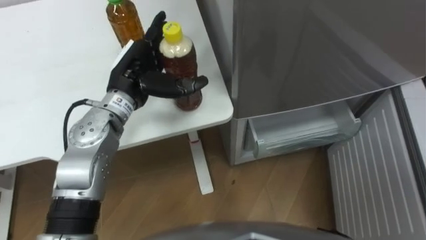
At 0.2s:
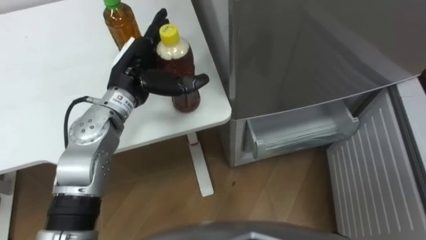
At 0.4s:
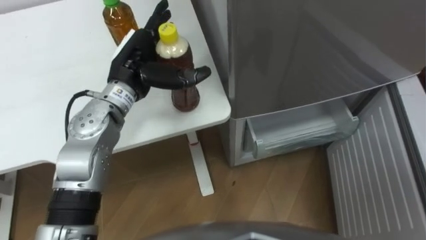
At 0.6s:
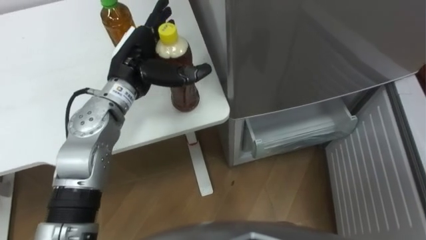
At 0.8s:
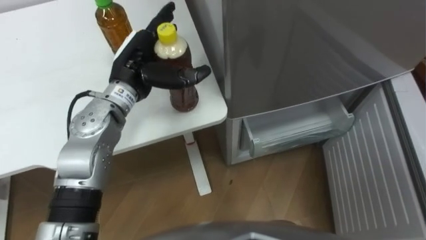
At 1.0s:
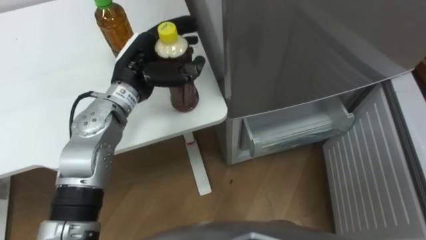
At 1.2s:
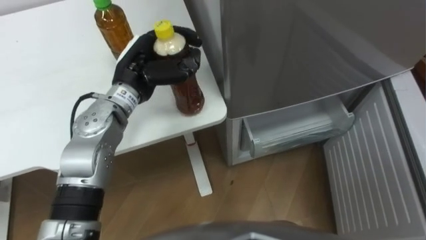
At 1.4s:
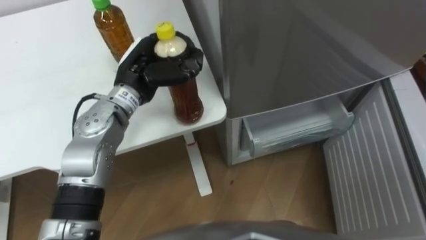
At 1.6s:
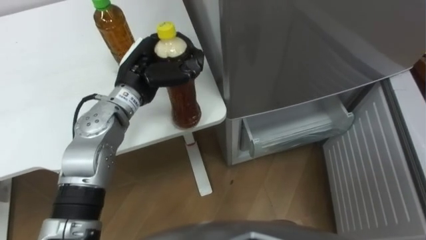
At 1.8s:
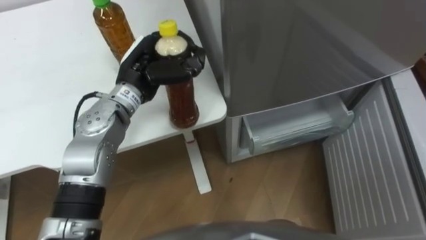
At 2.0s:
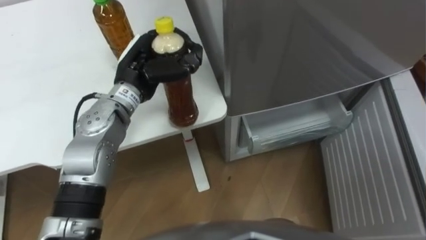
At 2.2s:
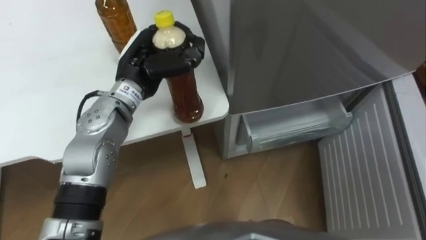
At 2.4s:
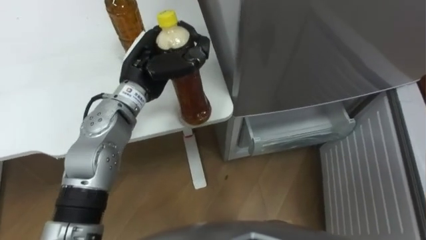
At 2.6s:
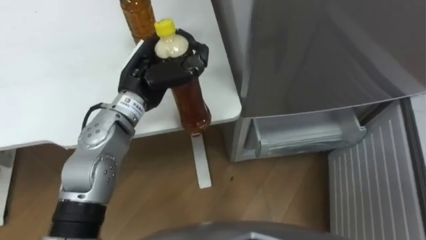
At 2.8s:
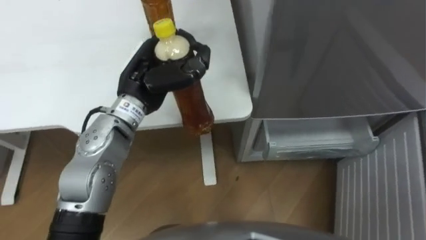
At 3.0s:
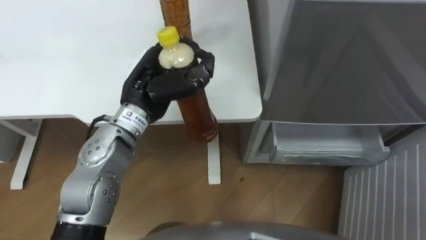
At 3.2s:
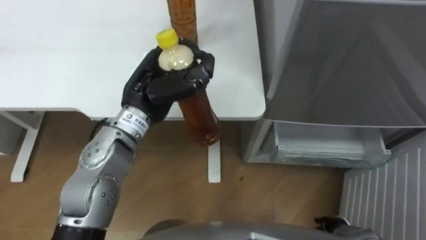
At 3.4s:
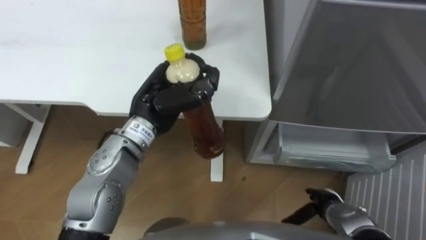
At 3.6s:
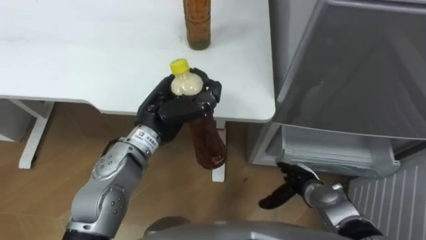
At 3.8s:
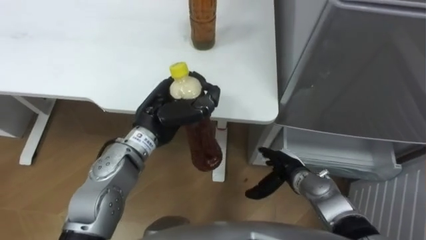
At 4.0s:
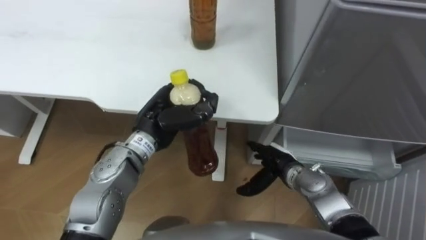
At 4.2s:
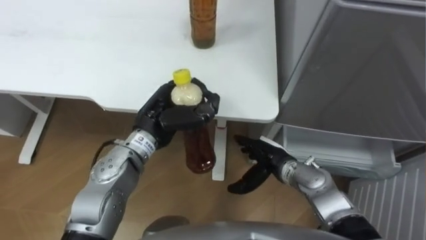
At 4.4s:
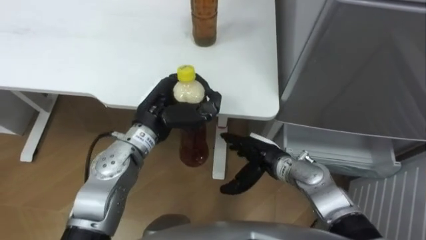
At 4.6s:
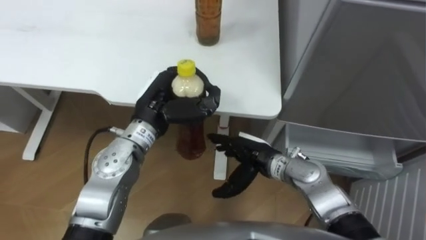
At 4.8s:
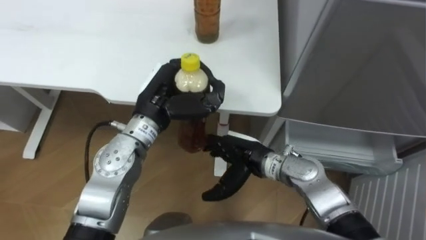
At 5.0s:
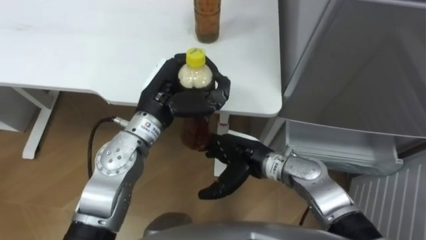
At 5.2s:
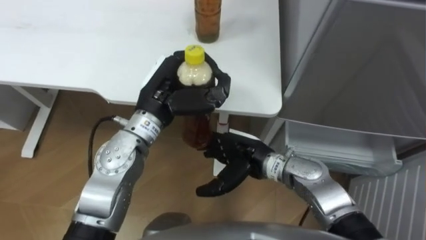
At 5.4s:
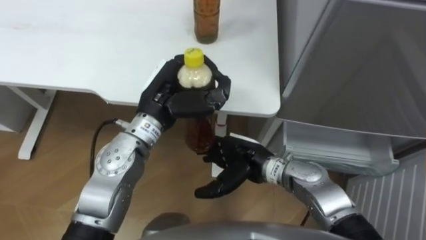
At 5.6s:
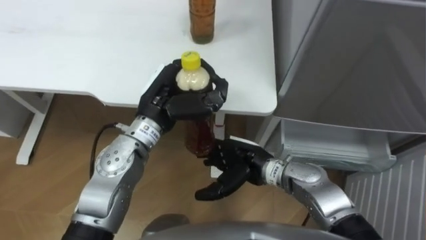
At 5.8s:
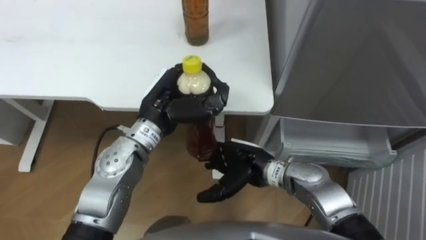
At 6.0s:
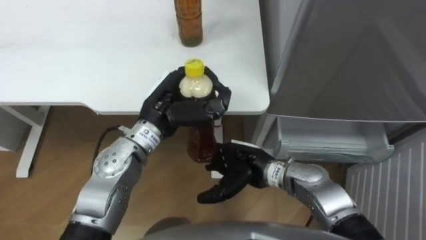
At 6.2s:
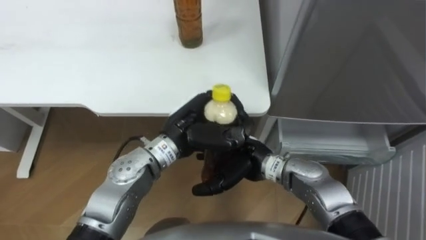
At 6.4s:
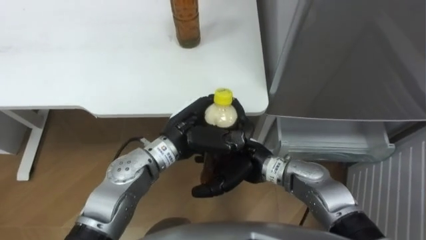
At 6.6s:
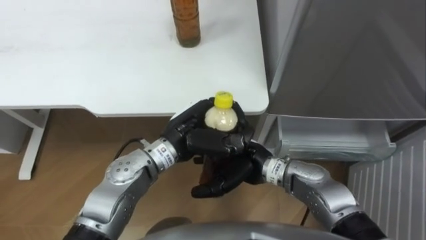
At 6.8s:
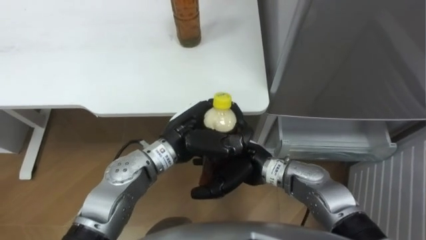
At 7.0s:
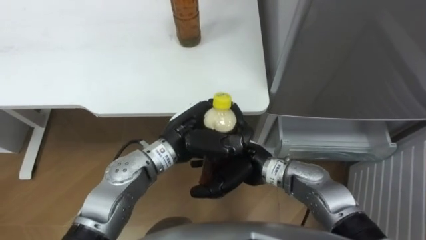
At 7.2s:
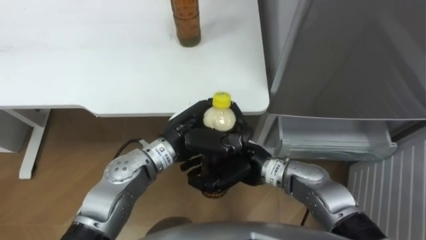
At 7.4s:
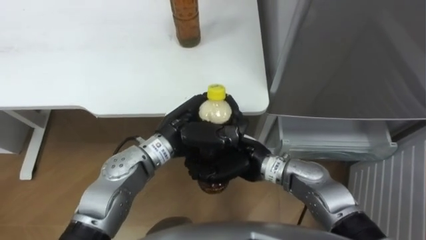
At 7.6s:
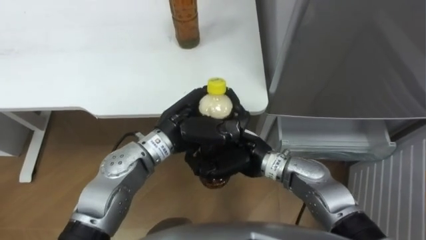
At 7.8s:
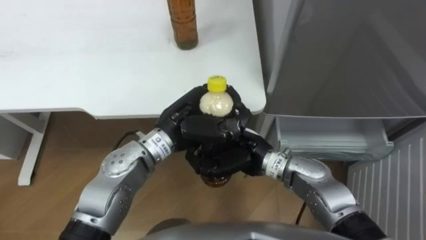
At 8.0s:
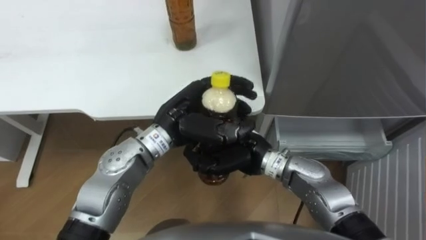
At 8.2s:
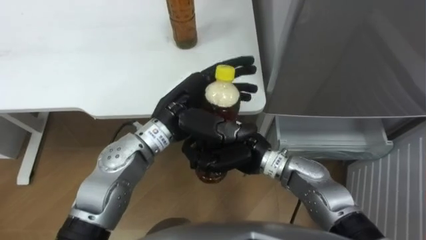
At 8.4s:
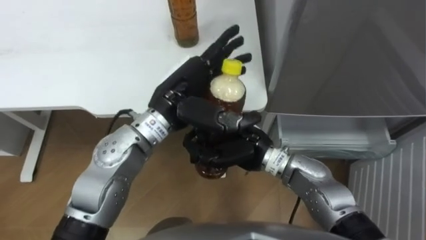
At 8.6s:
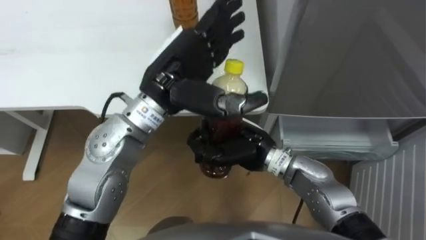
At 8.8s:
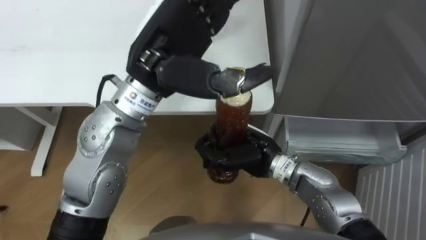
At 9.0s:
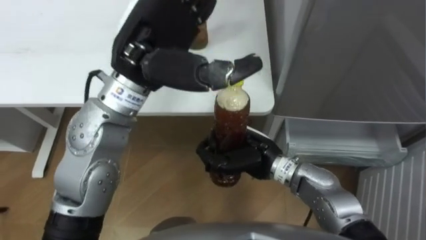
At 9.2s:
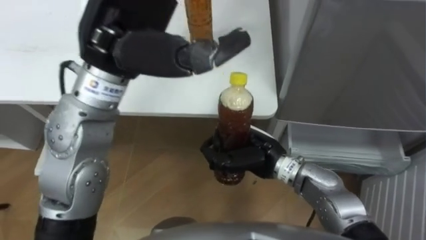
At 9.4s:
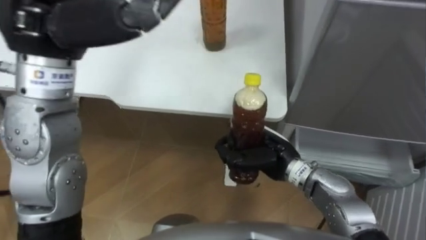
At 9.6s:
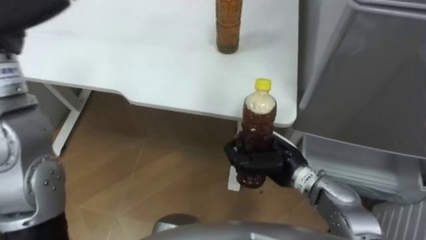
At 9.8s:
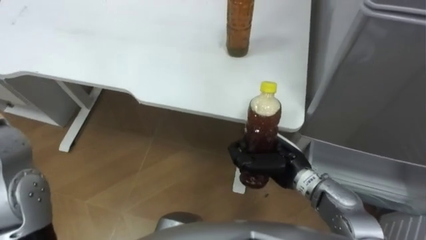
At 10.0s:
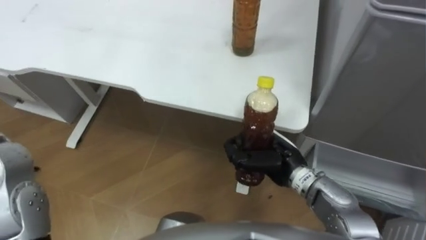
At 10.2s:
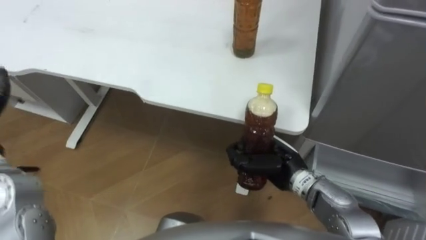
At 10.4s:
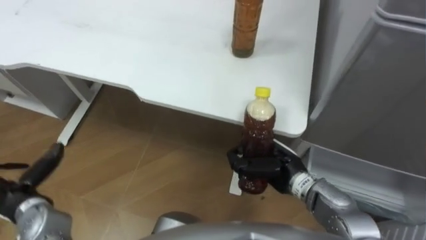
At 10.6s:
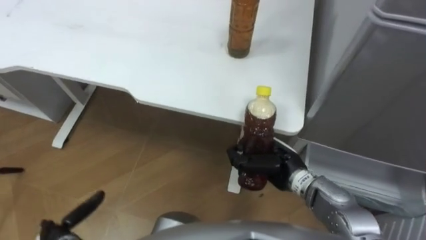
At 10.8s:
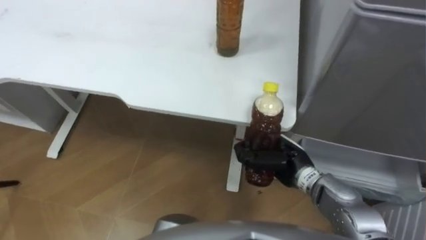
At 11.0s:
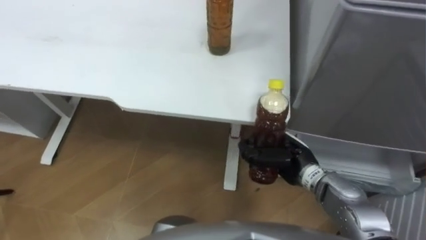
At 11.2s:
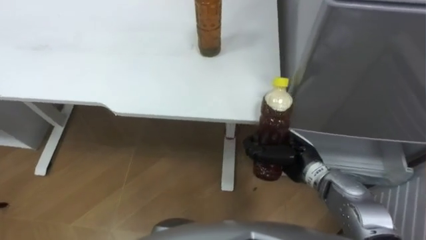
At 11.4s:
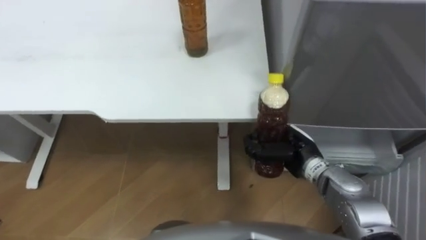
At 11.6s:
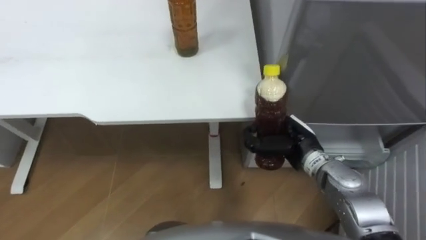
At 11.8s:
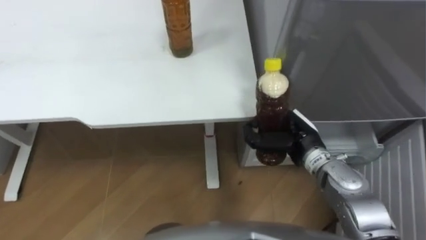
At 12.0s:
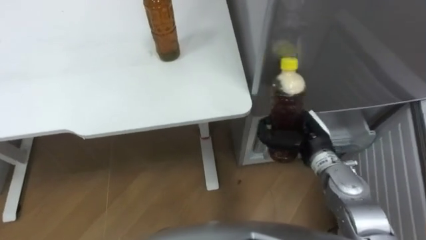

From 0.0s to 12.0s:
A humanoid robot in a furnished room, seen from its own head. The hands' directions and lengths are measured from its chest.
Task of the whole recording: Place the drink on the table on the bottom shelf of the refrigerator, then close the drawer and the refrigerator door.
From 0.0s to 1.6s: The left hand closes up.
From 3.0s to 4.4s: The left hand goes roughly 5 cm downward.
From 4.4s to 6.0s: The right hand moves some 5 cm.
From 6.0s to 7.6s: The right hand closes up.
From 7.6s to 9.0s: The left hand shifts some 15 cm upward, and opens up.
From 9.0s to 10.4s: The right hand shifts roughly 5 cm to the right.
From 10.4s to 12.0s: The right hand travels to the right by approximately 5 cm.

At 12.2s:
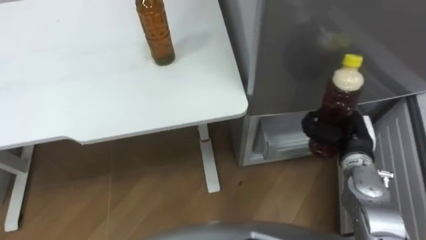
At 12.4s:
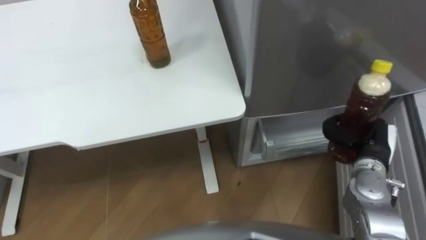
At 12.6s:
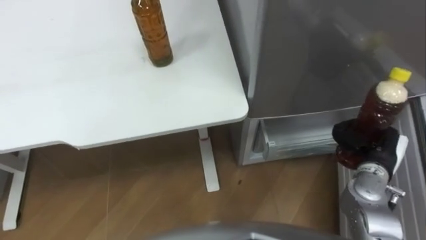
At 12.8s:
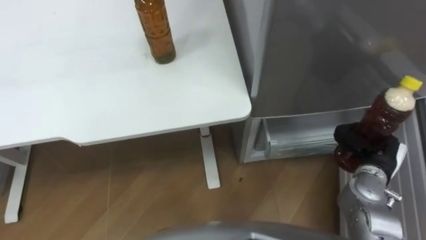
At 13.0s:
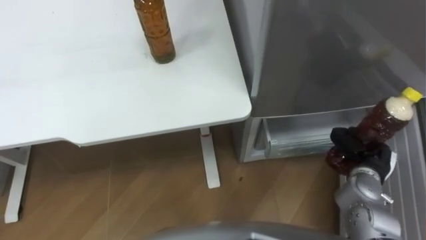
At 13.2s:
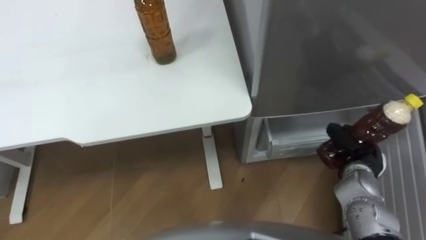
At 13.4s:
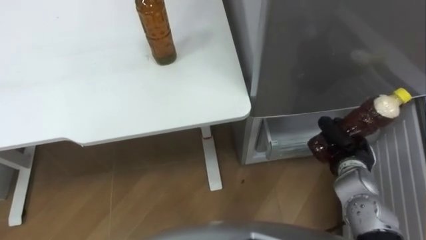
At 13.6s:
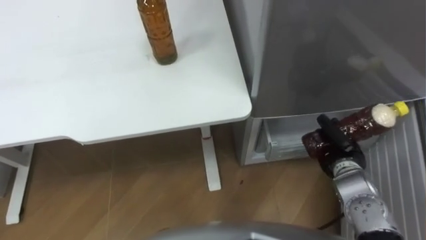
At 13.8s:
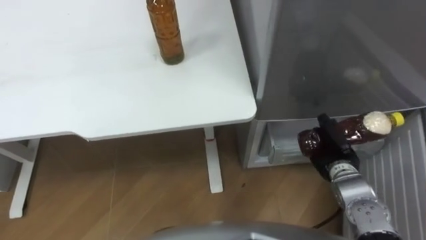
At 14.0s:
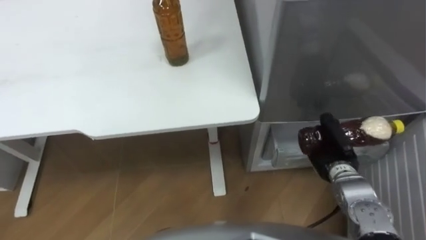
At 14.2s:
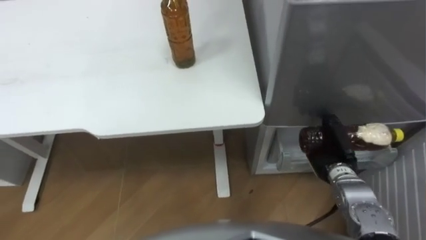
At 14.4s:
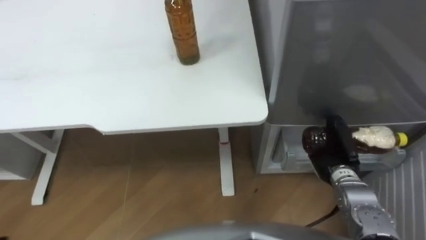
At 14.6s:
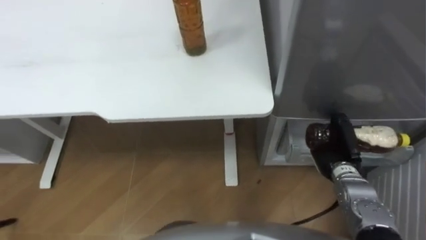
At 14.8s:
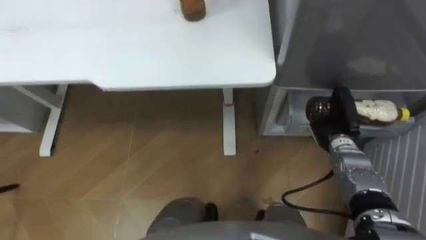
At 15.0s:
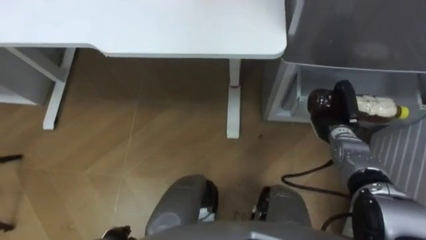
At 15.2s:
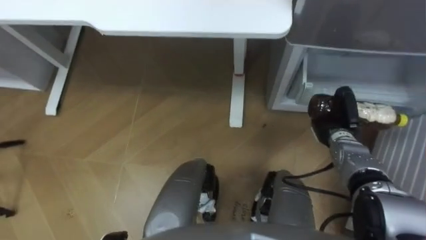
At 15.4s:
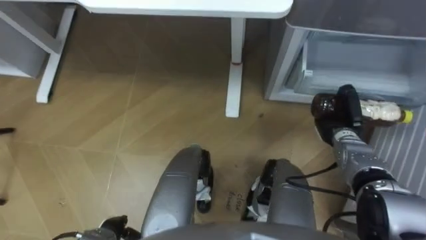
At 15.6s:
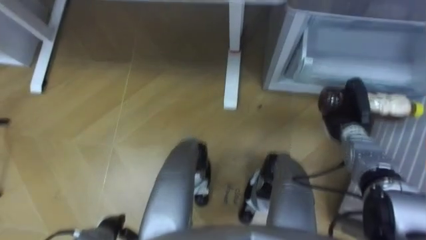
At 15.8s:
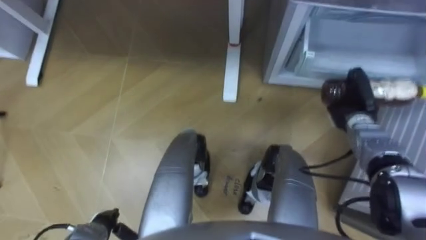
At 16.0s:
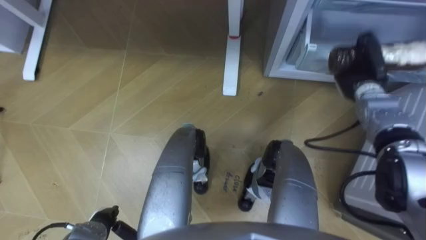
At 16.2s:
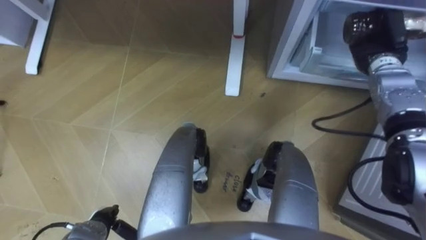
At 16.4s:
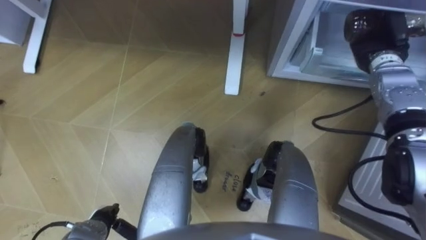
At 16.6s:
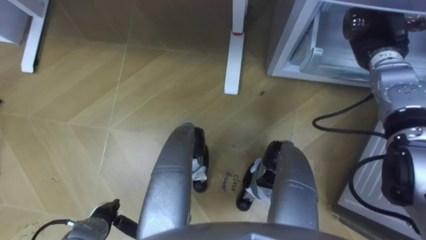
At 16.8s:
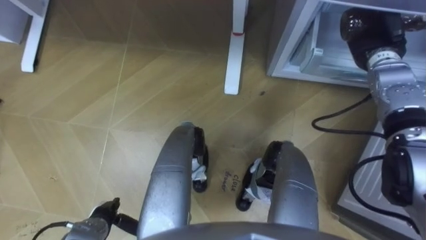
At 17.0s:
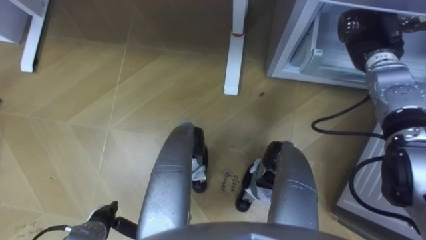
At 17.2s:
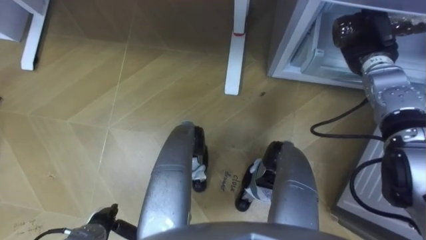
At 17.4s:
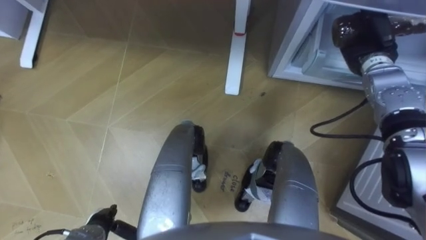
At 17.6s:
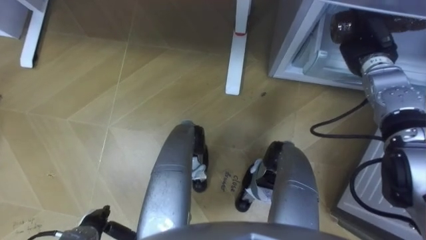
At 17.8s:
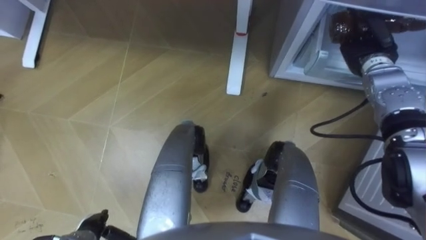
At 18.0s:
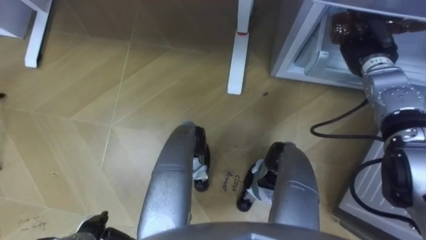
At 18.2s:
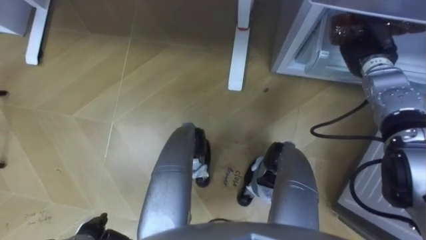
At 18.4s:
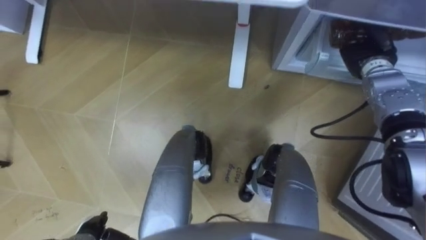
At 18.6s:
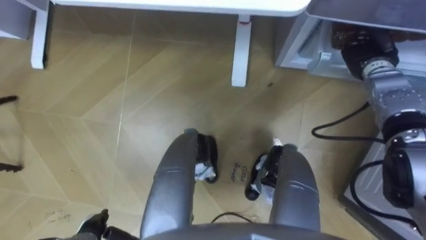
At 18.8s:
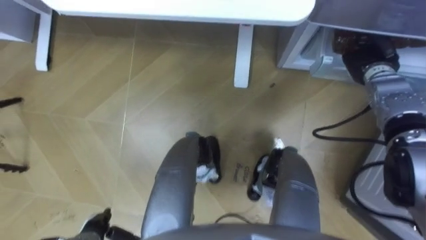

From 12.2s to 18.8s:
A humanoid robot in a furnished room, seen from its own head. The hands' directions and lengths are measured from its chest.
Task of the whole recording: Place the drink on the table on the bottom shelf of the refrigerator, then close the drawer and the refrigerator door.
From 12.2s to 13.8s: The right hand travels downward by approximately 5 cm.
From 13.8s to 15.4s: The right hand travels forward by about 5 cm.
From 15.4s to 17.2s: The right hand heads upward and forward, covering about 20 cm.
From 17.2s to 18.8s: The right hand opens its fingers.
